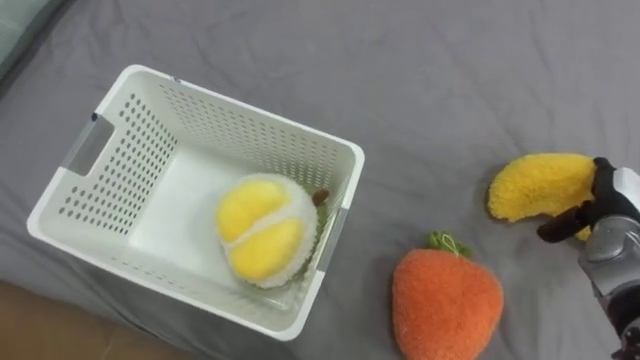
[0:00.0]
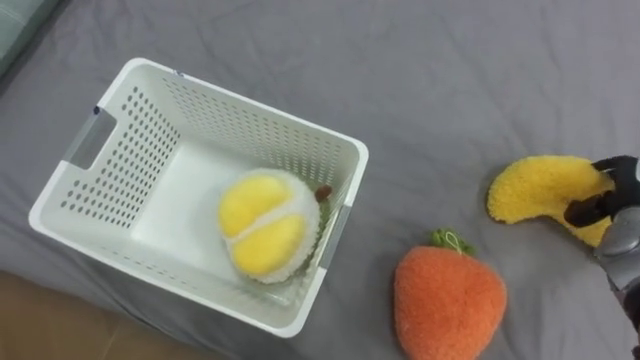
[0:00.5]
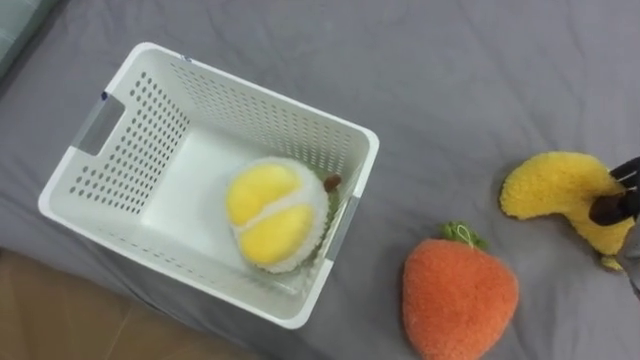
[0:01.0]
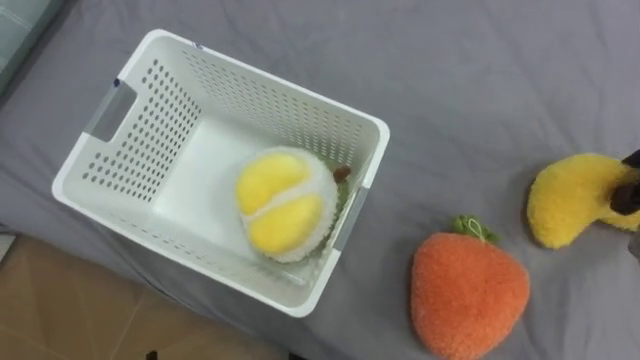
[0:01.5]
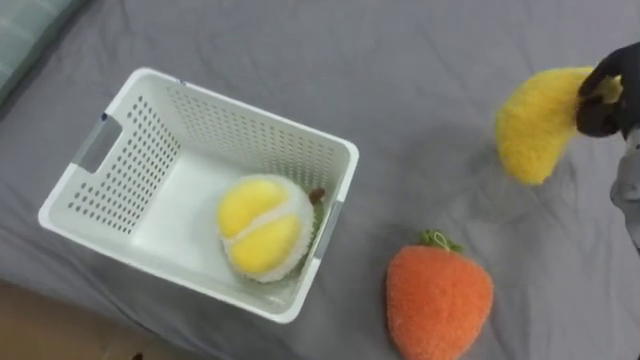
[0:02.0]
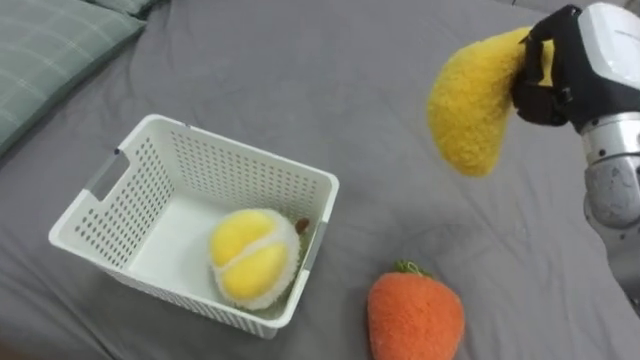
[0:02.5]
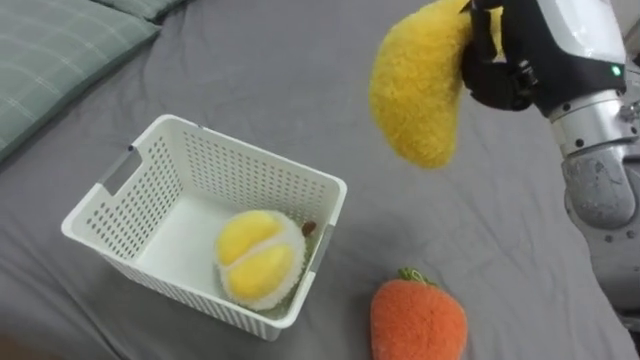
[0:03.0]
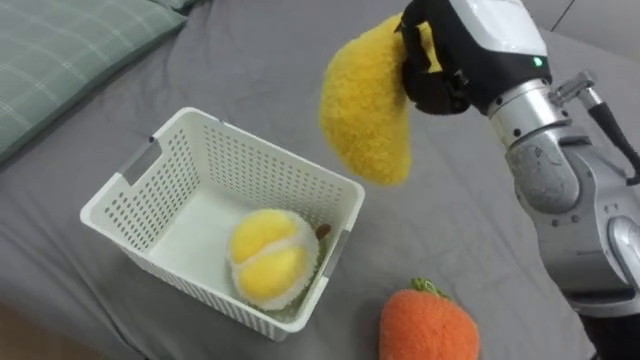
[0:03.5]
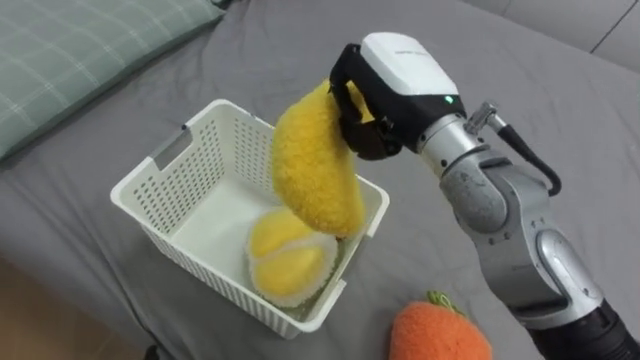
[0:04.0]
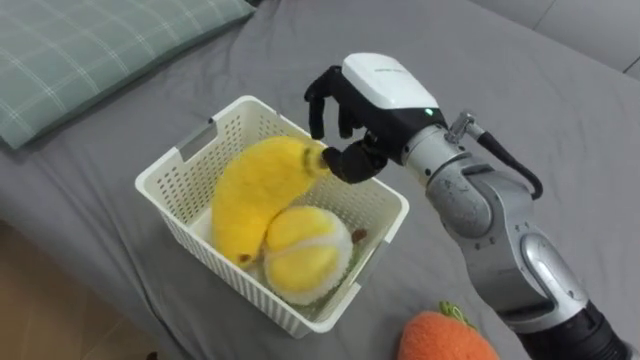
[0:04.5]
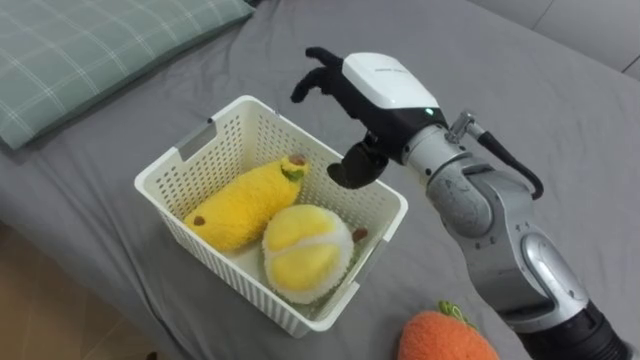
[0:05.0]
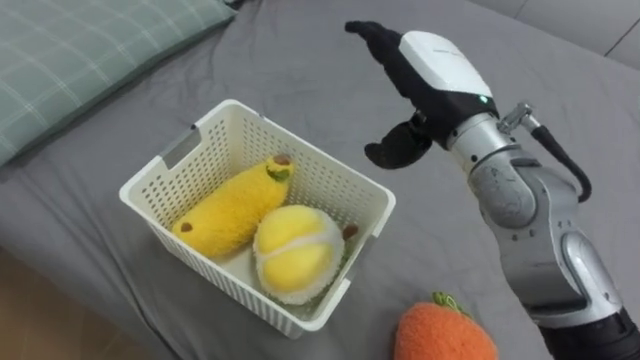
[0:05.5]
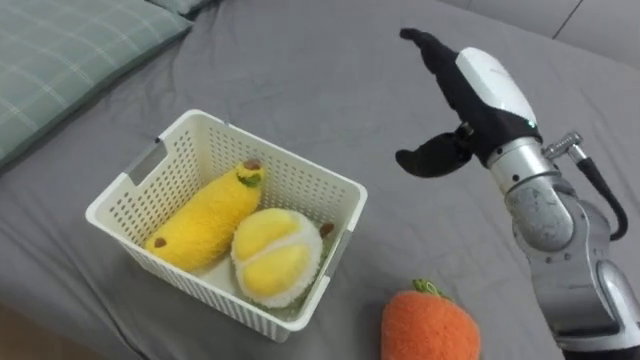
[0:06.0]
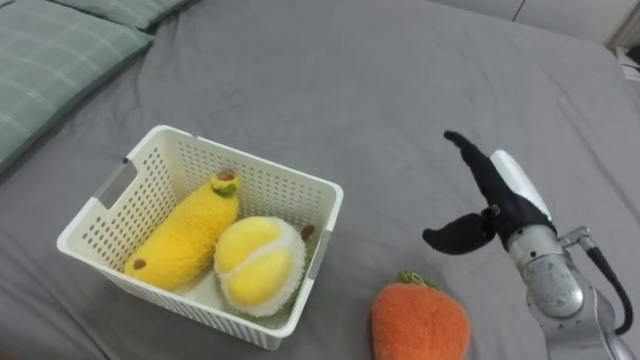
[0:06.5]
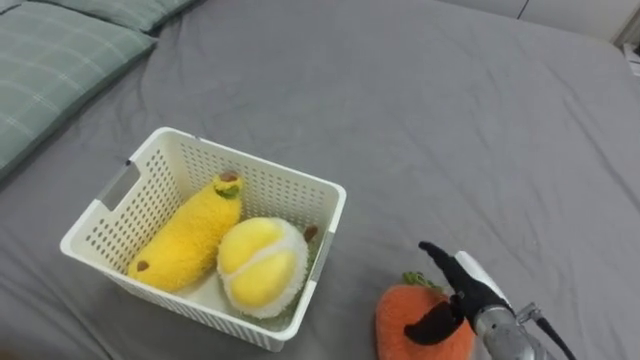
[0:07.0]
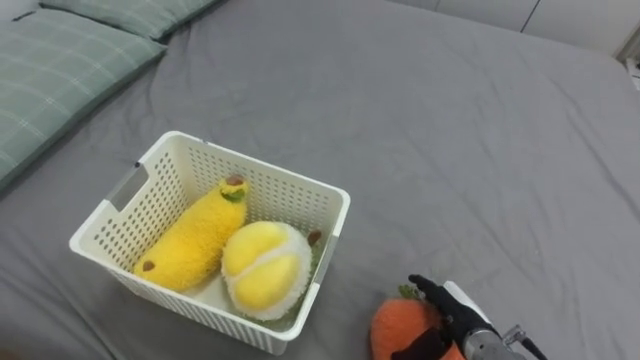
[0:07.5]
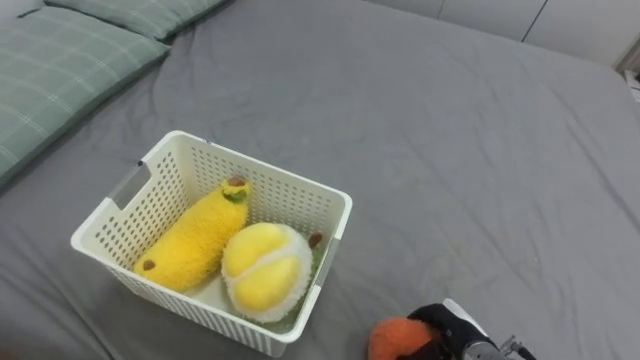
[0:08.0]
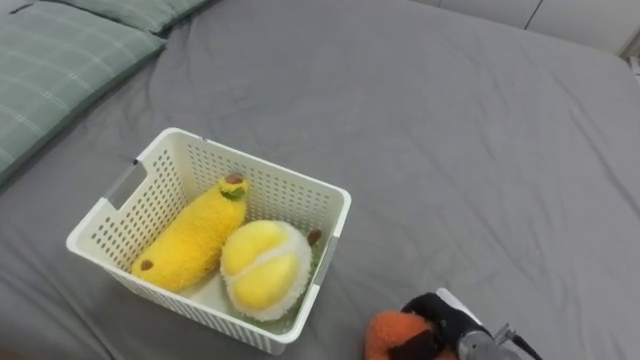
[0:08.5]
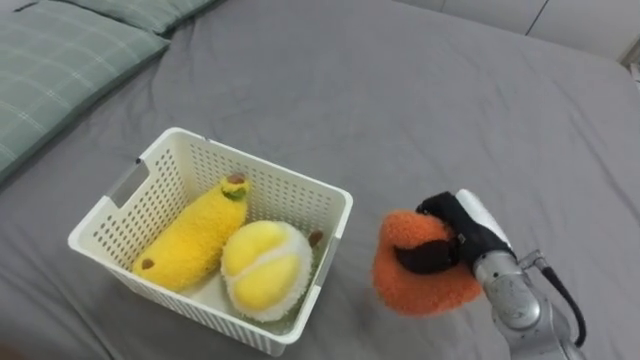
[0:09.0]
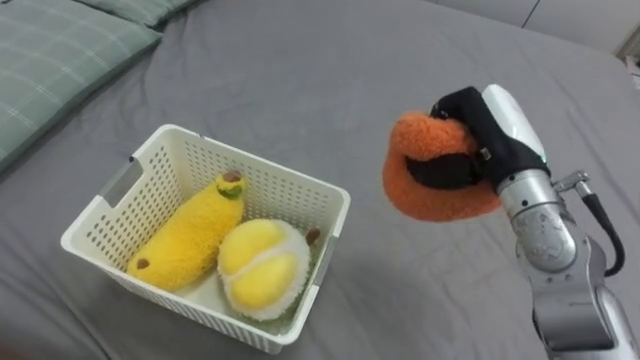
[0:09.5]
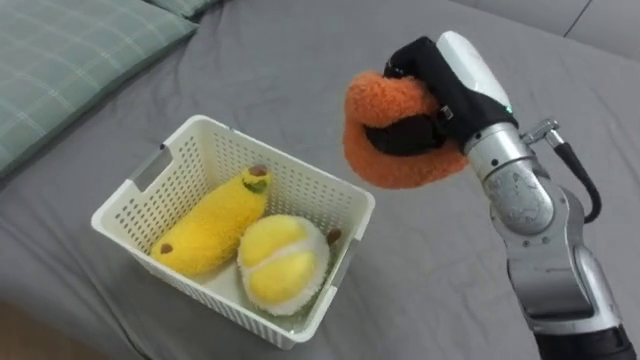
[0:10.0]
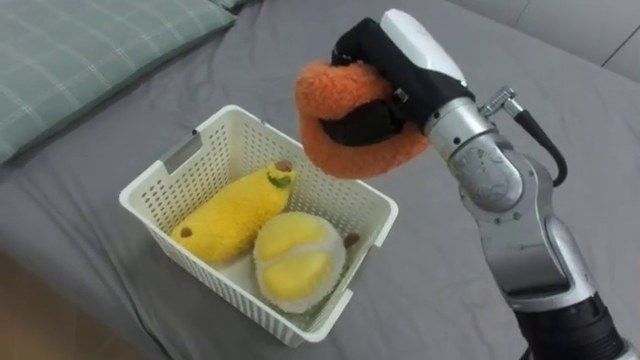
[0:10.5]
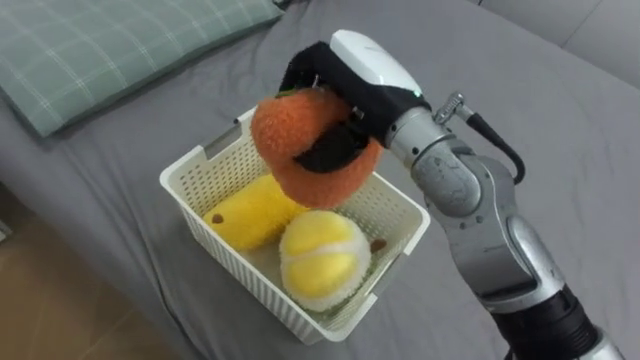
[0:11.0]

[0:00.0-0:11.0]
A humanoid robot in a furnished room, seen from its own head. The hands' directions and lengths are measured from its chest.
Task of the whole recording: Put the toys on the bed into the basket on the left.
0:03.5 to 0:05.5: The right hand moves downward, some 5 cm, moves some 10 cm to the left and comes back, and opens up.
0:05.5 to 0:07.5: The right hand goes about 35 cm downward and backward.
0:07.5 to 0:09.0: The right hand is displaced upward and forward by about 15 cm, and closes up.
0:09.0 to 0:11.0: The right hand shifts about 25 cm upward and to the left.

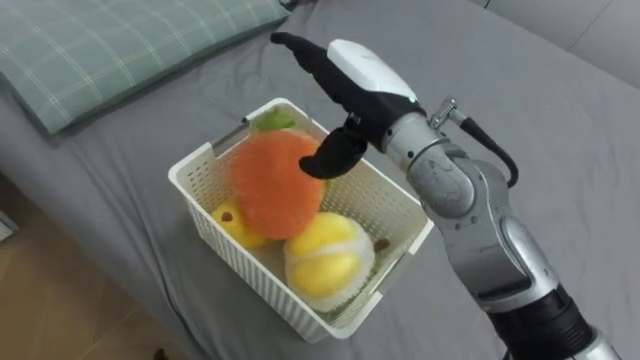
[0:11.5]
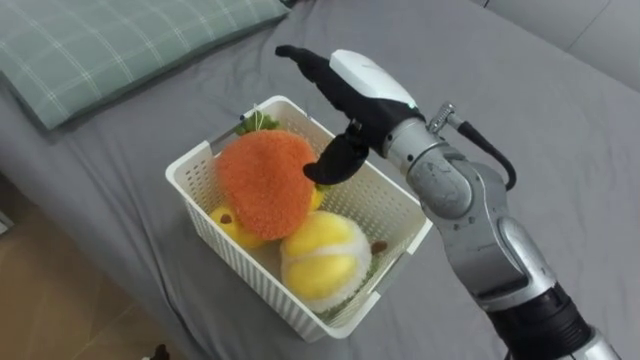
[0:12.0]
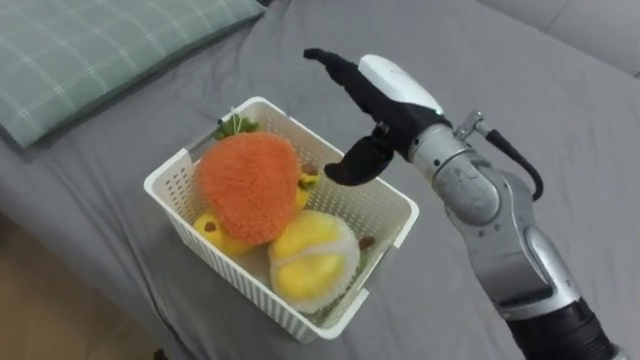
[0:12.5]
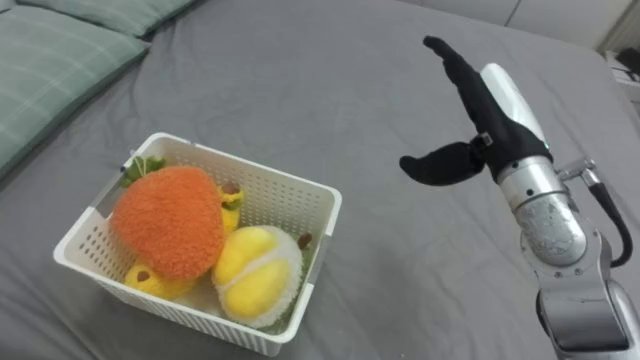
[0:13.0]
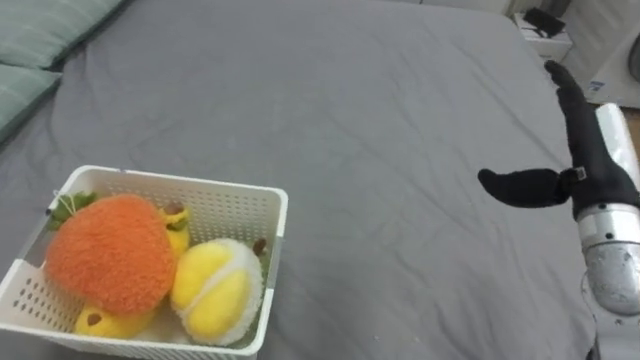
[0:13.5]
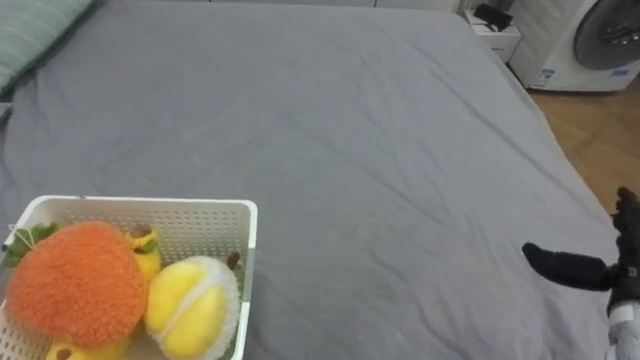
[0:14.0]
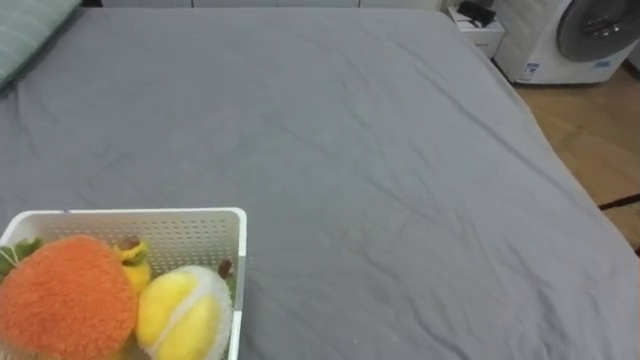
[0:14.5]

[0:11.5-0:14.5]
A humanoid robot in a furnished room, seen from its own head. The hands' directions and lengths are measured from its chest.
Task of the whole recording: Put the toys on the bed into the basket on the left.
0:11.5 to 0:13.0: The right hand is displaced to the right by roughly 15 cm.

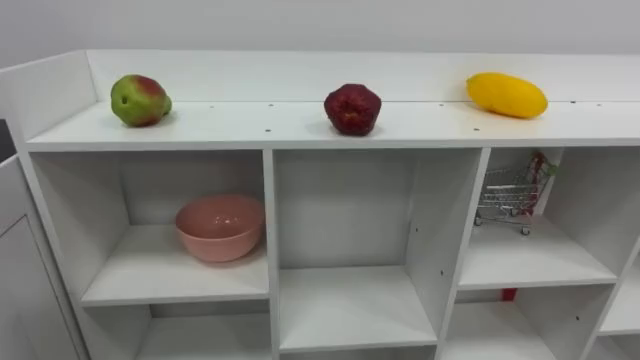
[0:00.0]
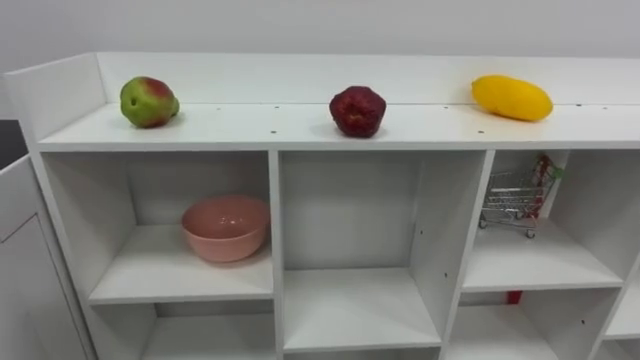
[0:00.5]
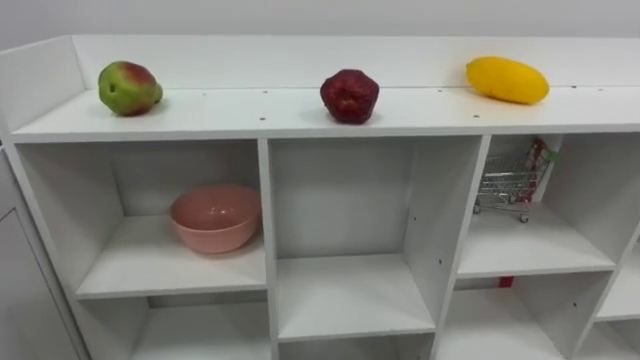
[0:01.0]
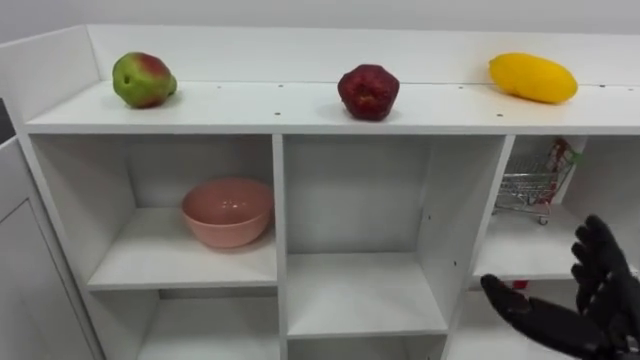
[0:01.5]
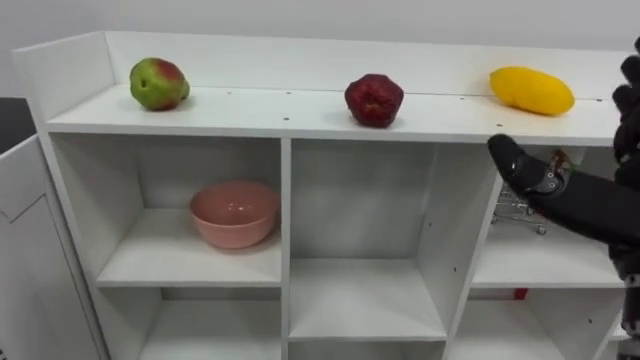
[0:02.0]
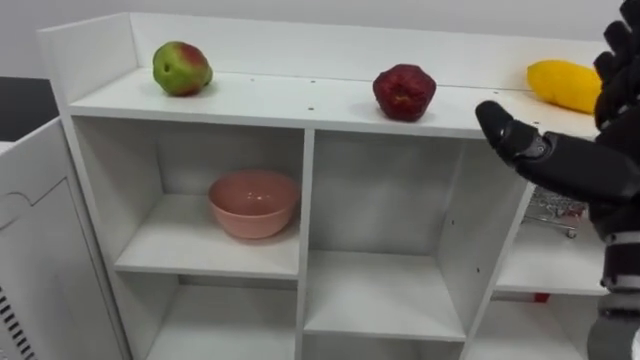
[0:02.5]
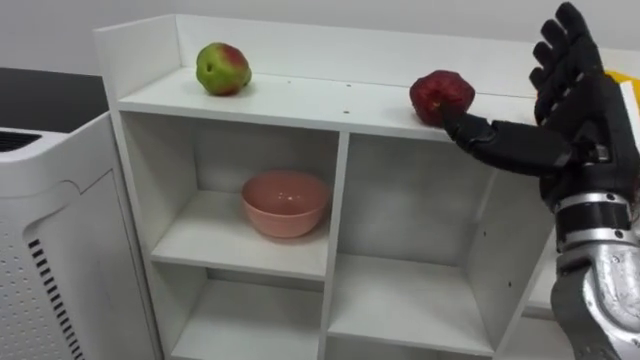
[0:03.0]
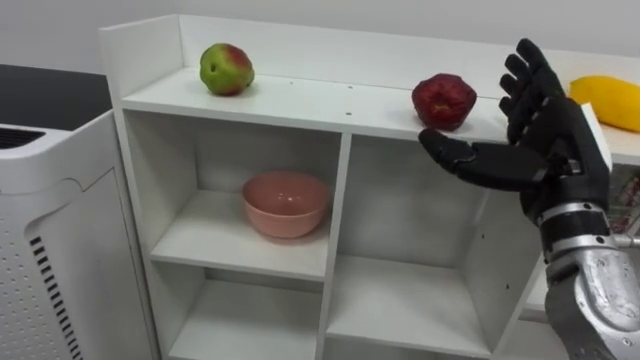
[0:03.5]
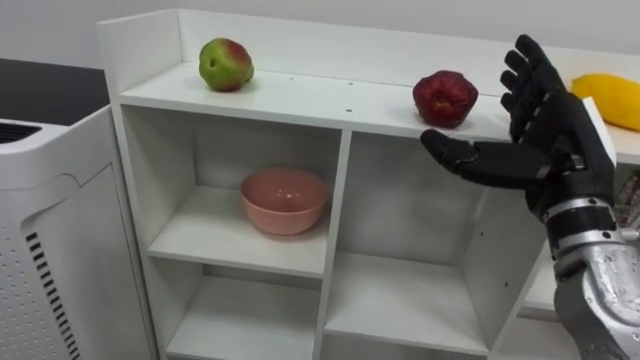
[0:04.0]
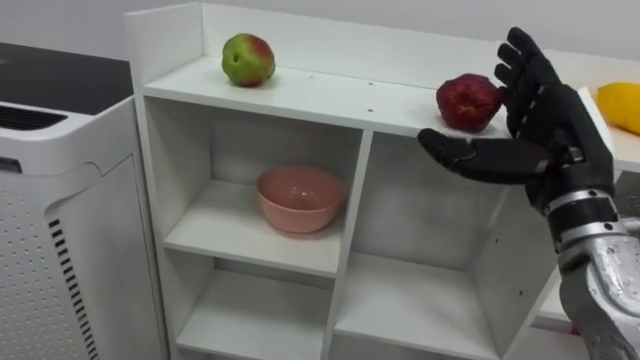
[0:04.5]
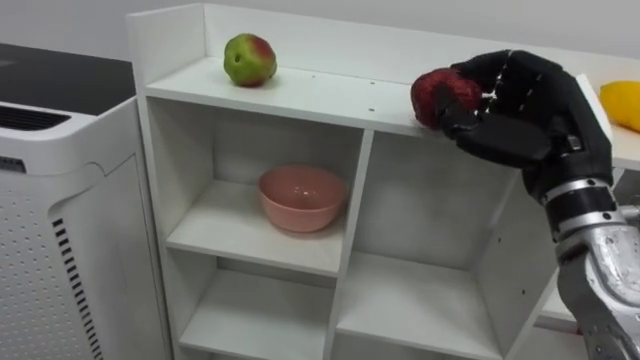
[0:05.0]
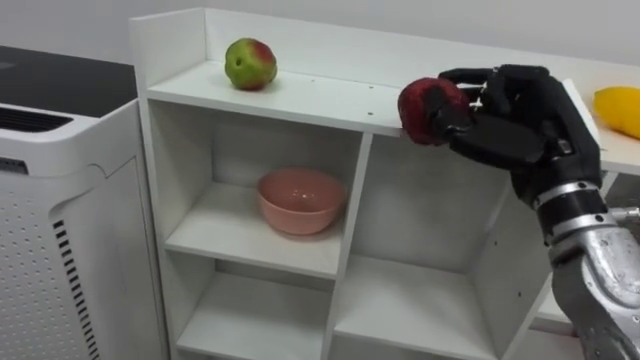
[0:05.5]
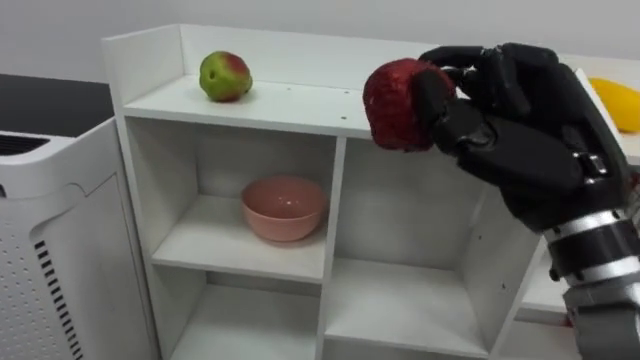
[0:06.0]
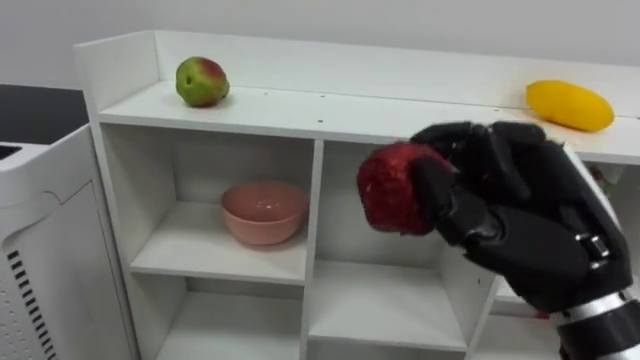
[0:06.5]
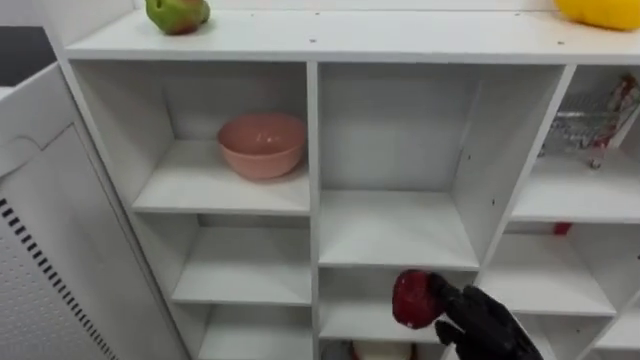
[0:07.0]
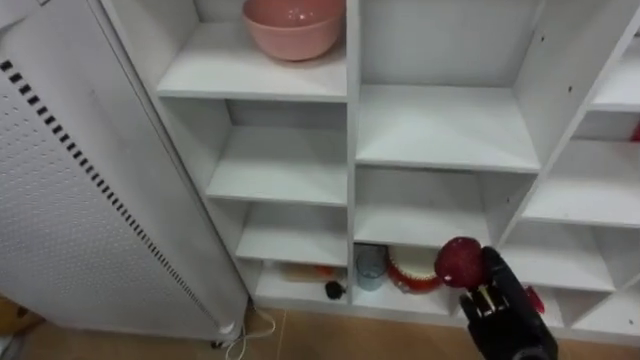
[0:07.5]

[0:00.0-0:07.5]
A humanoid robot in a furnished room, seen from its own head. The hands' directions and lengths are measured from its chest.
Task of the whole recording: Put the apple in the cell in the second column from the left and the second row from the top.
0:04.0 to 0:05.5: The right hand closes.
0:05.5 to 0:07.5: The right hand shifts some 25 cm downward.
